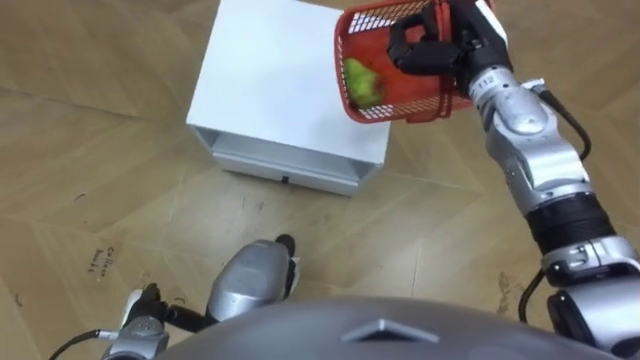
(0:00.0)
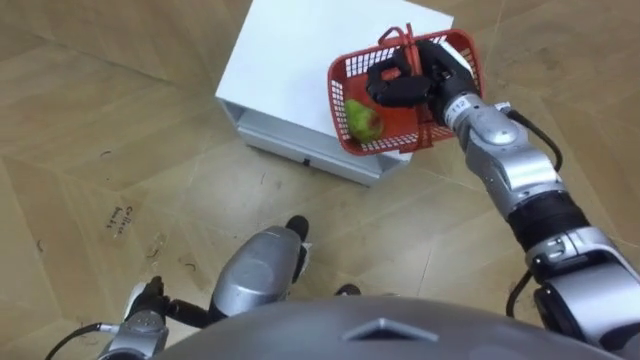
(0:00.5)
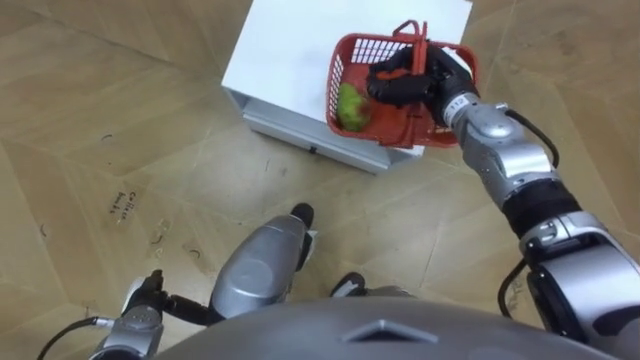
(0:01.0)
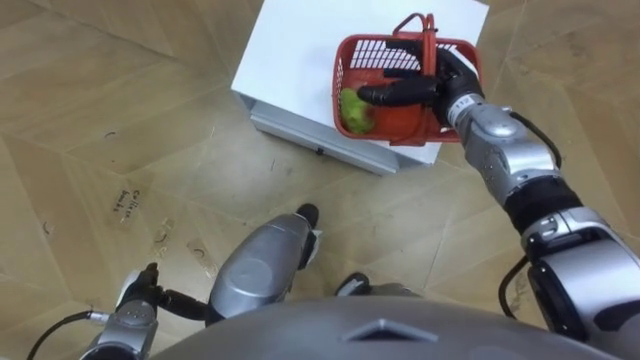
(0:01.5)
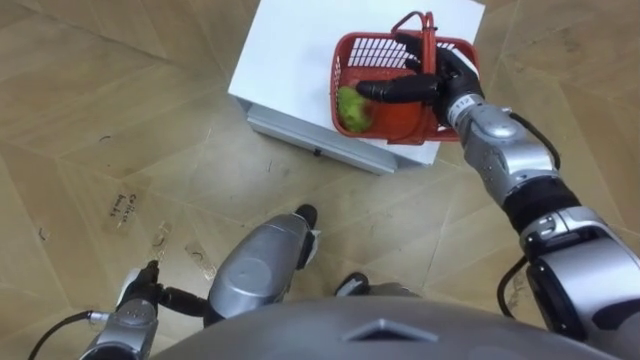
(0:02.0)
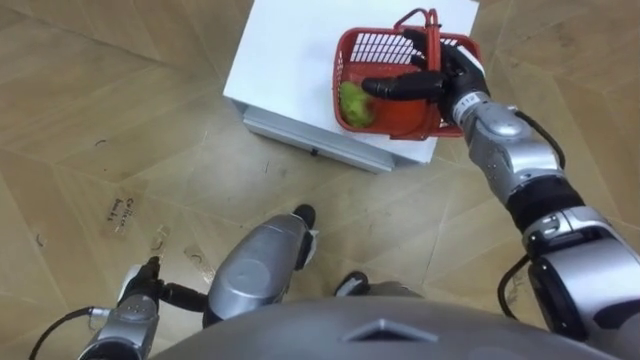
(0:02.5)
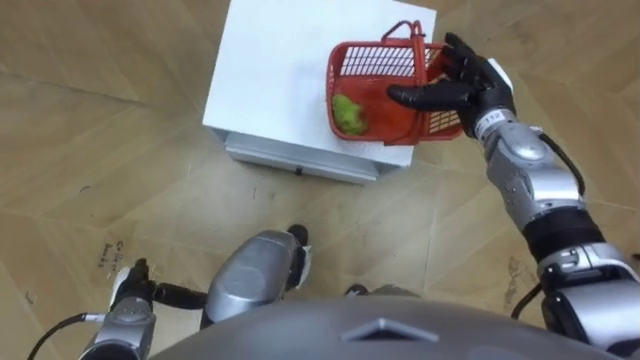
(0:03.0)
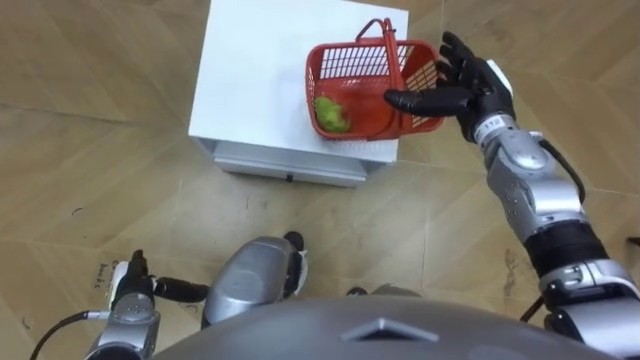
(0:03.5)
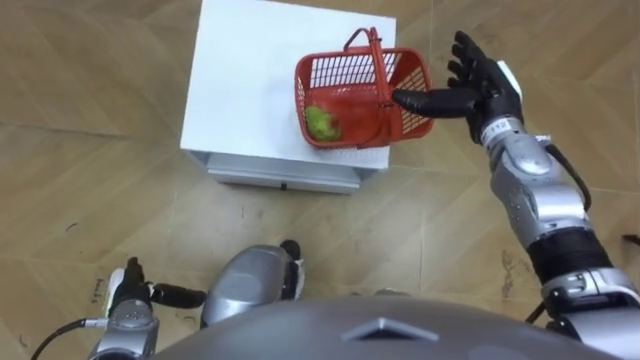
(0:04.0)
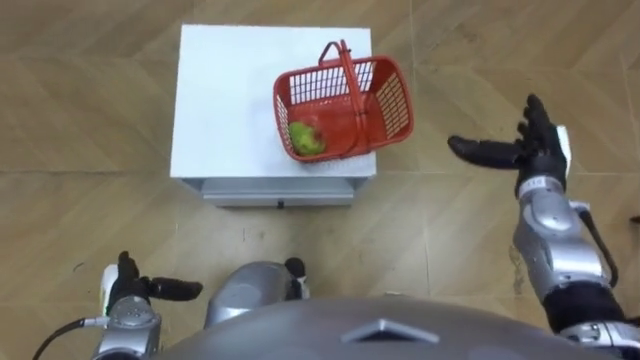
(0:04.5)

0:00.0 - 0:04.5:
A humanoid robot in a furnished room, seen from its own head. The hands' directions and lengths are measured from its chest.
Task of the whole recording: Pick up the fruit basket from the floor and place it on the cabinet.
0:00.0 - 0:02.0: The right hand goes approximately 5 cm downward, and opens its fingers.
0:02.0 - 0:04.5: The right hand moves to the right and backward, some 15 cm.

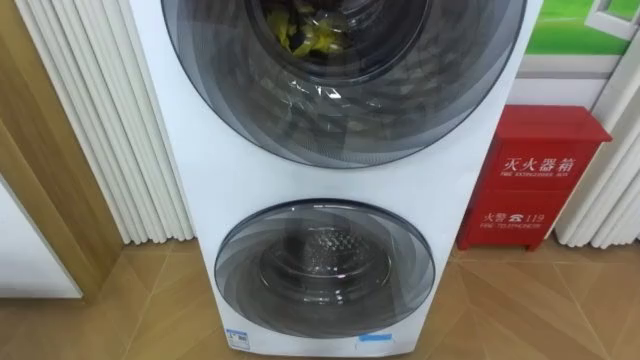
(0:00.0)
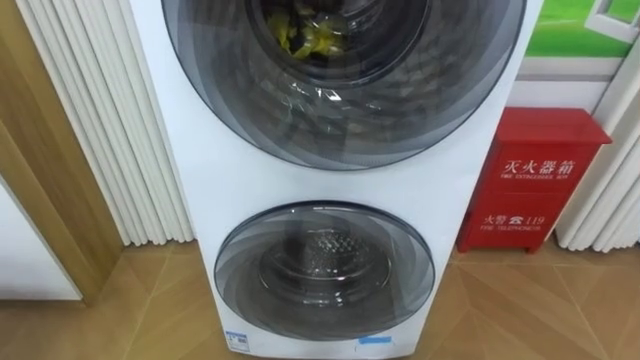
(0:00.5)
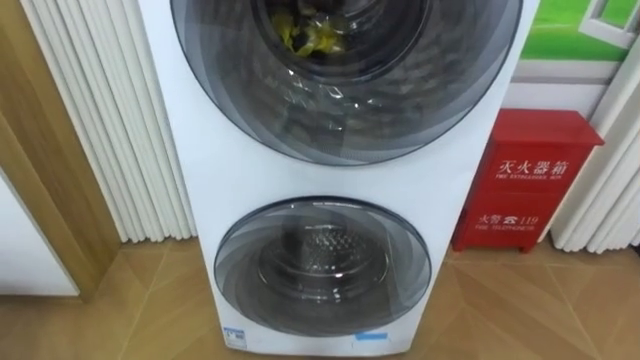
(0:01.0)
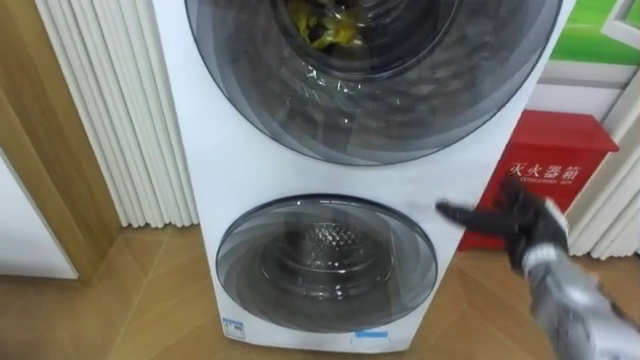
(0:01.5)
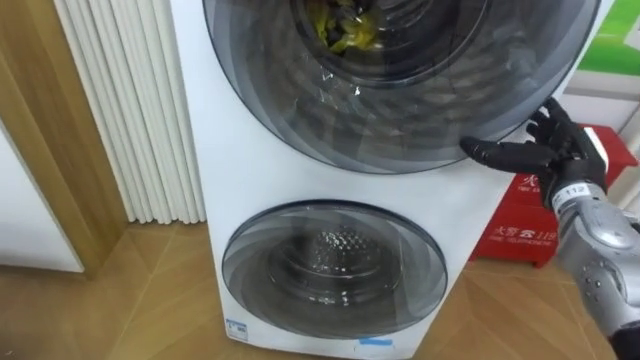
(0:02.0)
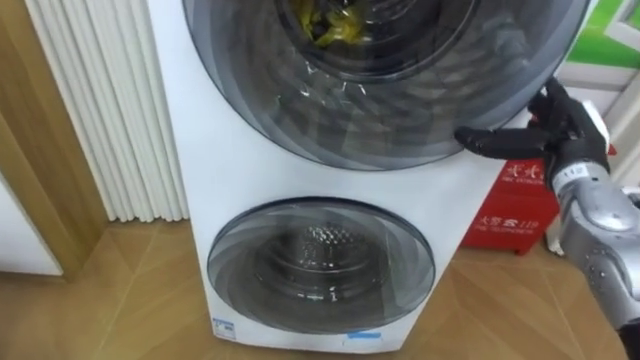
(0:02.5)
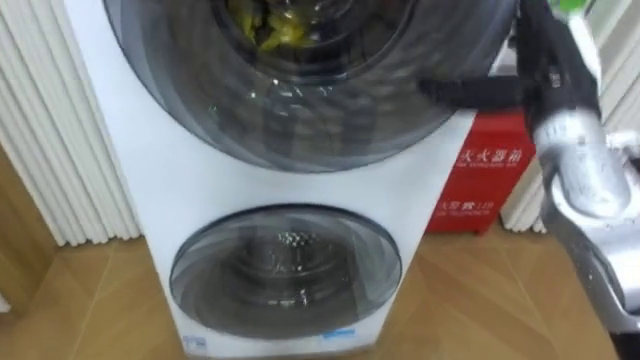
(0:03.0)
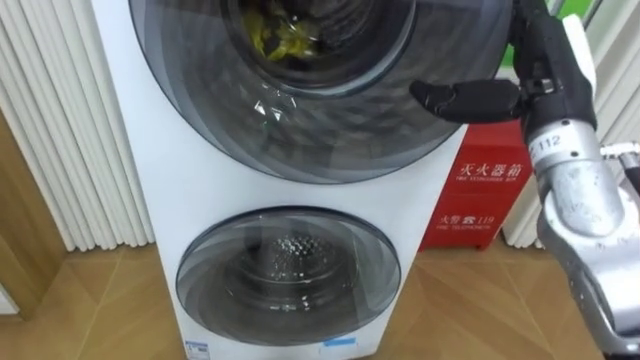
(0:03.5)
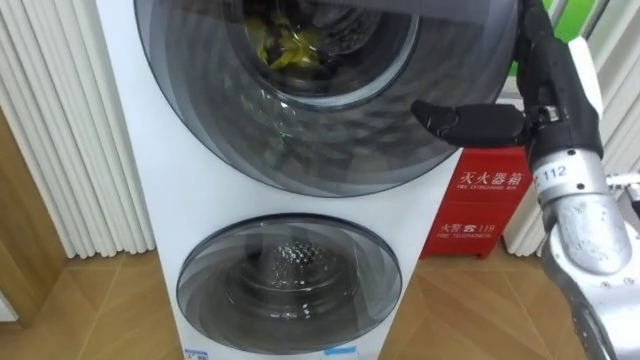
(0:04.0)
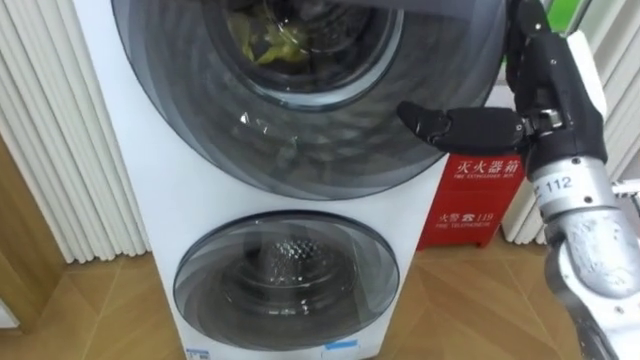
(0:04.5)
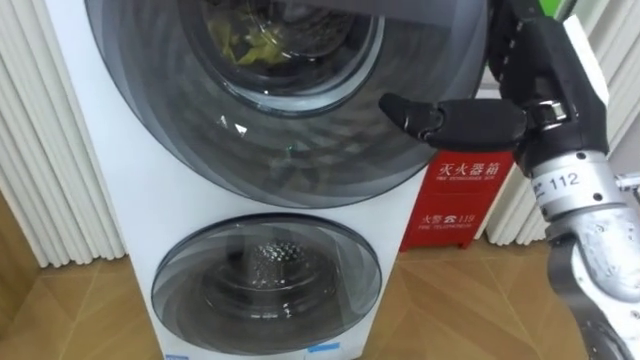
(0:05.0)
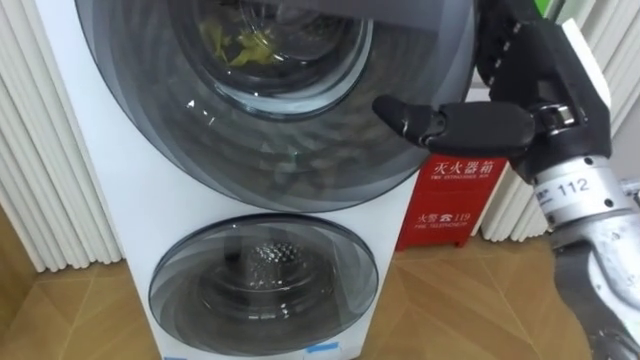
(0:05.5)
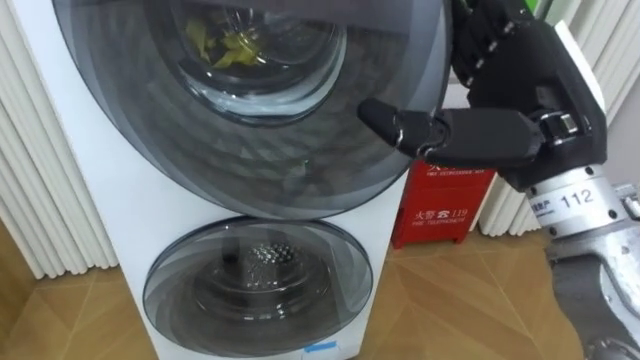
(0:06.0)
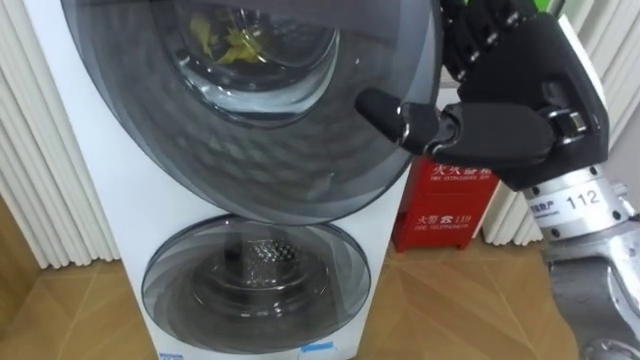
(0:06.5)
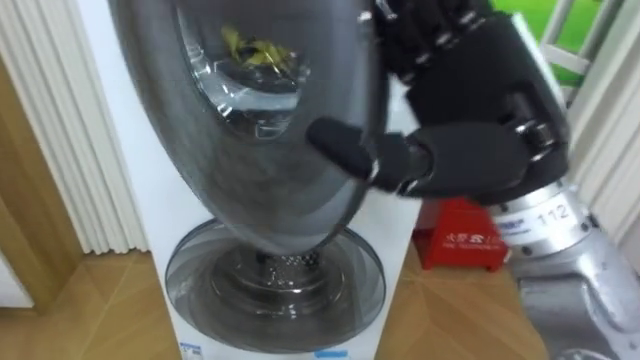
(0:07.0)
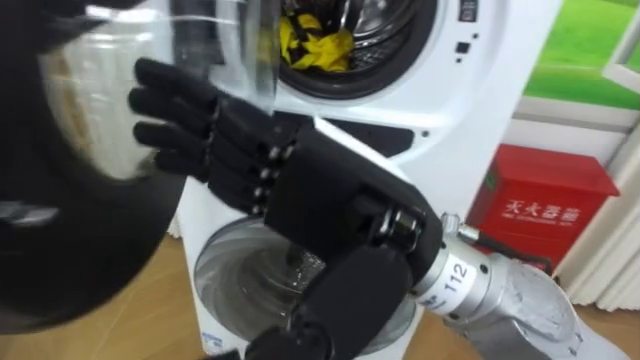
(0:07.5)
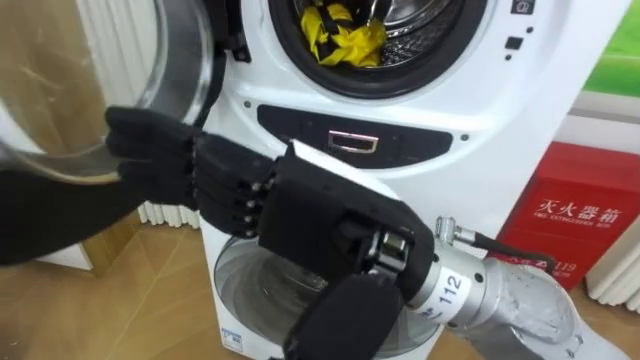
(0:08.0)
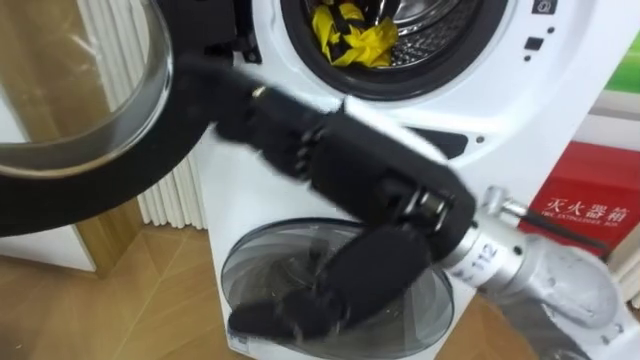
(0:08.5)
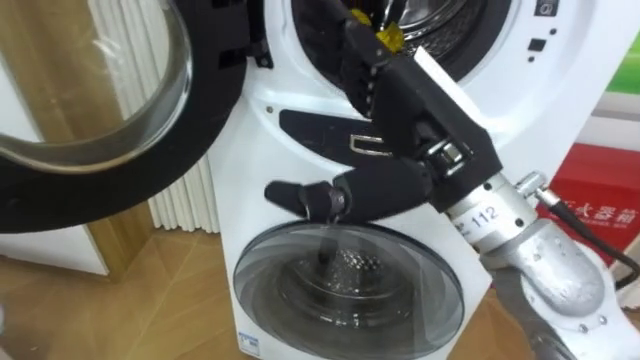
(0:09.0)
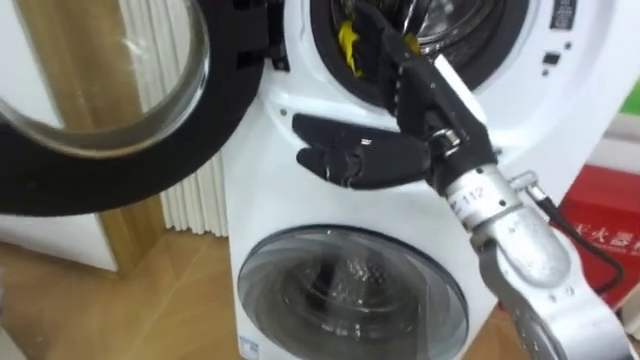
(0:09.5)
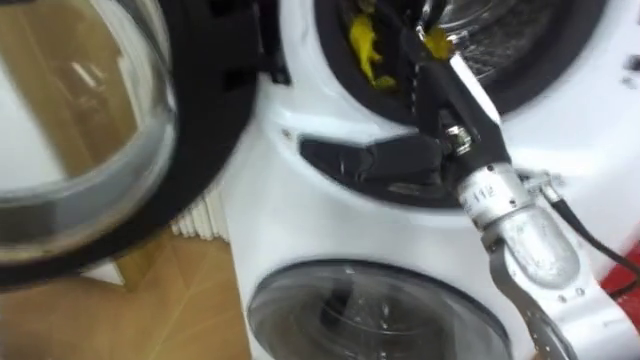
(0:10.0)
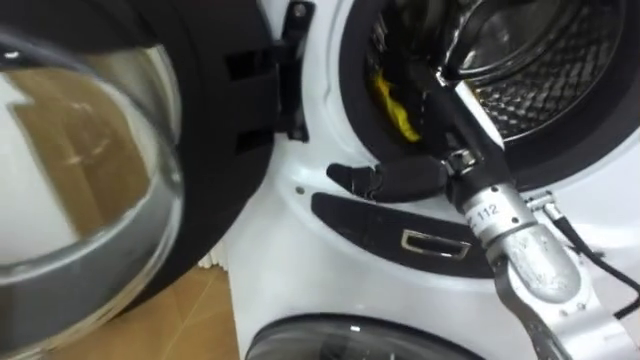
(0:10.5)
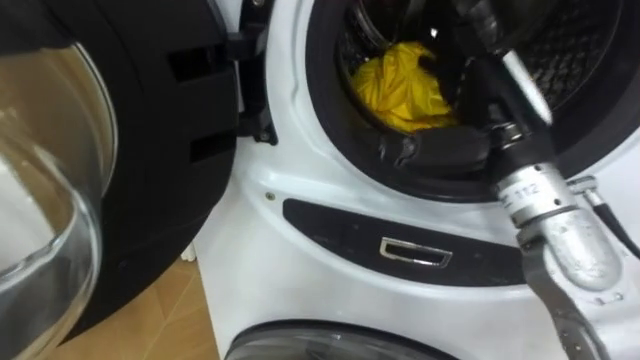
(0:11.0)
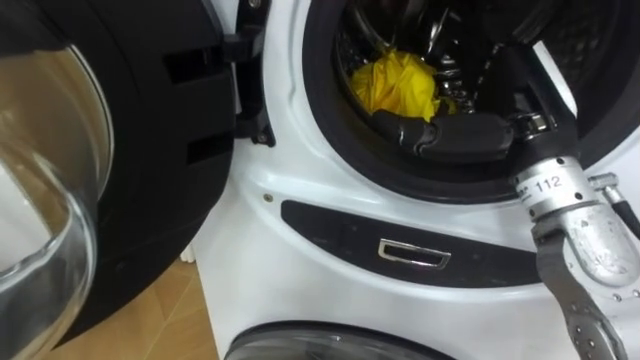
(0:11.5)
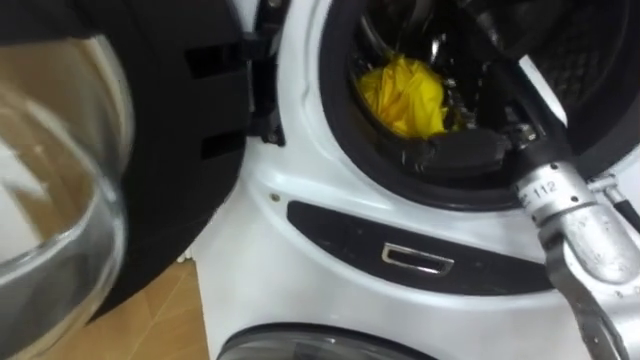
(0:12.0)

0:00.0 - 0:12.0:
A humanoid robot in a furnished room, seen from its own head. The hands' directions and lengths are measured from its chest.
Task of the whole recording: Open the washing machine door, take out the yellow clothes, place them in the box on the right, and close the washing machine door.
0:02.0 - 0:04.0: The right hand shifts about 15 cm upward, to the left and backward.
0:04.0 - 0:06.0: The right hand shifts approximately 5 cm backward.
0:06.0 - 0:08.0: The right hand shifts roughly 15 cm to the left and backward.
0:08.0 - 0:10.0: The right hand heads forward and to the right, covering approximately 15 cm.
0:10.0 - 0:12.0: The right hand shifts about 5 cm to the right.

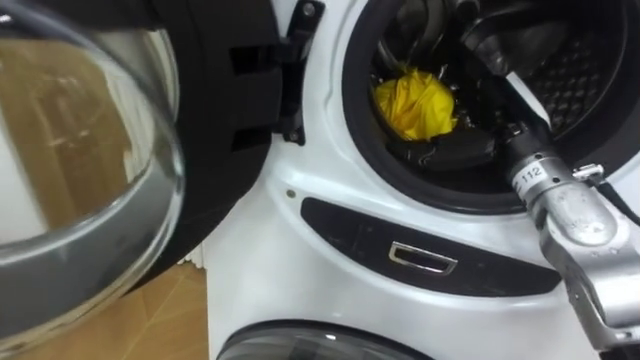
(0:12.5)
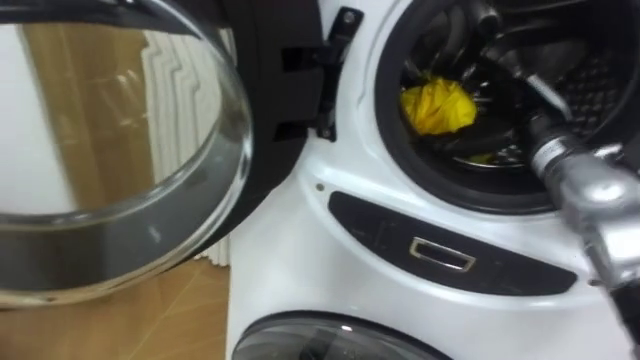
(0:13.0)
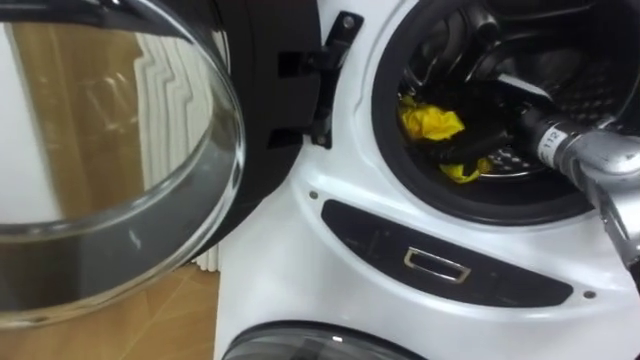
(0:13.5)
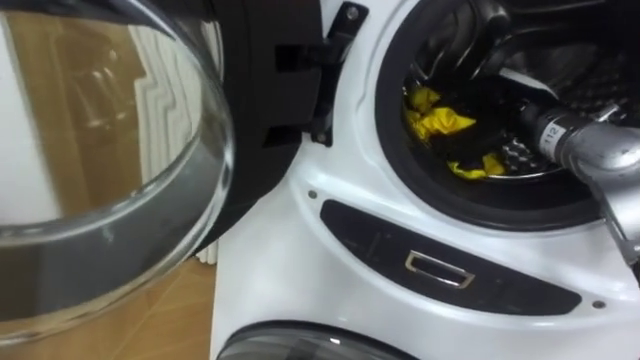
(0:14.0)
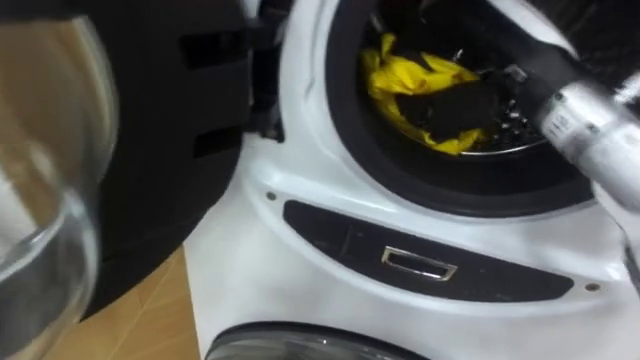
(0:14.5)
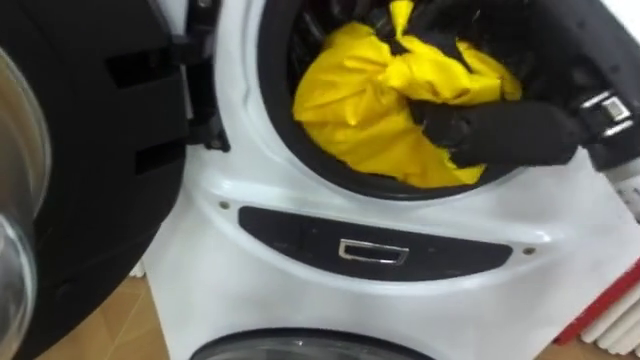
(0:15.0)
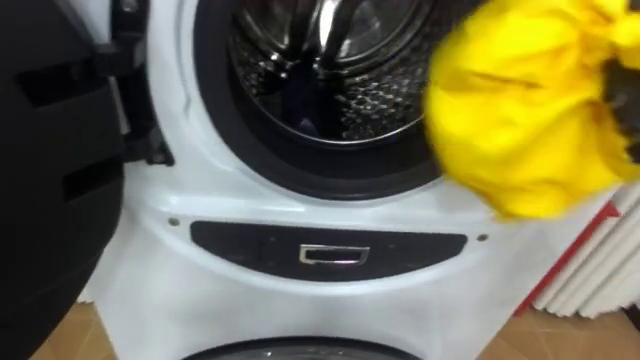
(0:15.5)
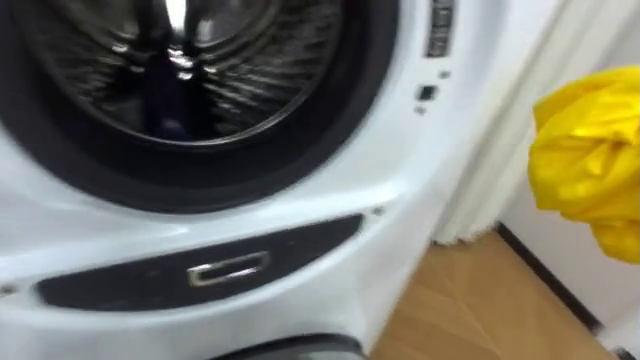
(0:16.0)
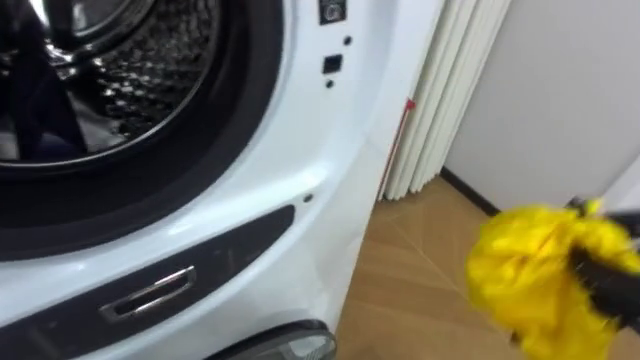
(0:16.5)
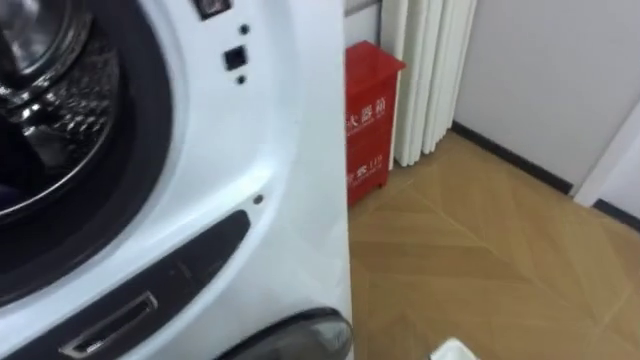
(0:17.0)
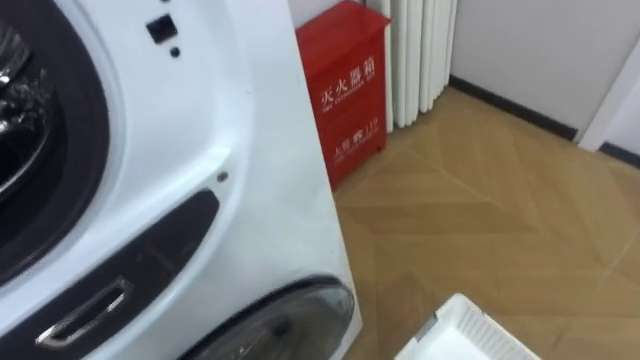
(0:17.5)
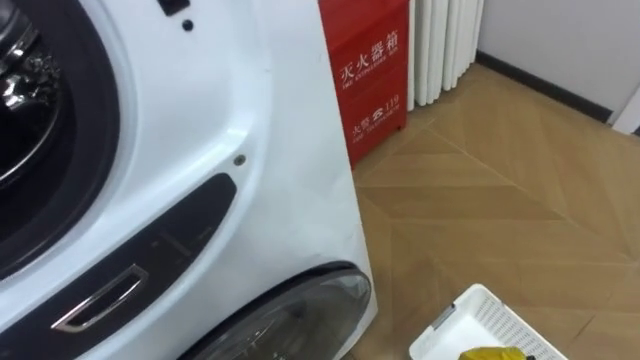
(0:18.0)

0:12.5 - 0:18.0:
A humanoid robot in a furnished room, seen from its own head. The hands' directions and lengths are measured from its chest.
Task of the whole recording: Open the washing machine door, take out the yellow clothes, place them in the box on the right, and close the washing machine door.
0:12.5 - 0:14.5: The right hand travels upward by roughly 10 cm, and closes.
